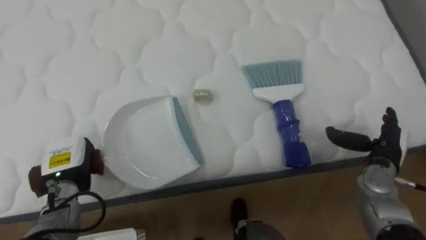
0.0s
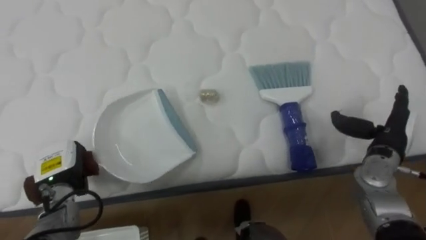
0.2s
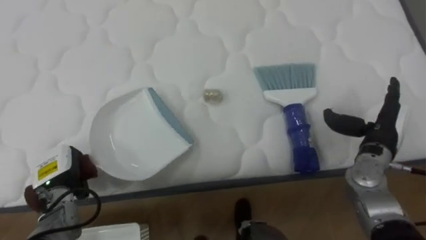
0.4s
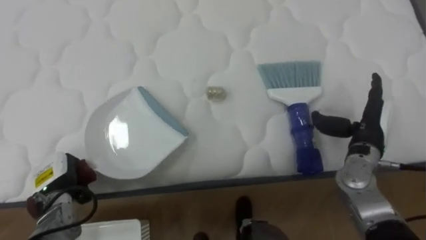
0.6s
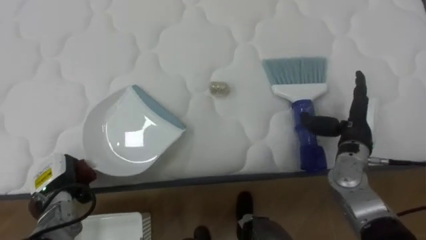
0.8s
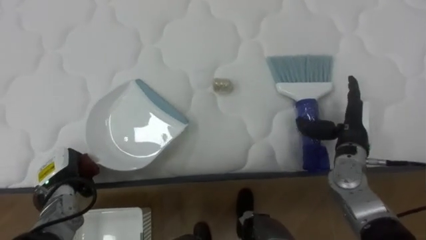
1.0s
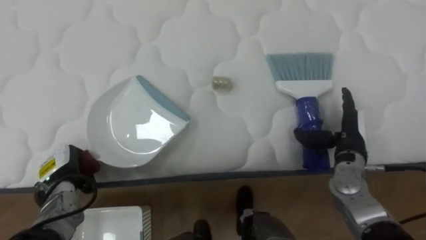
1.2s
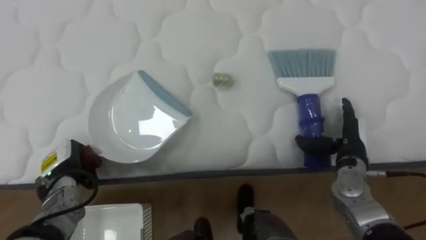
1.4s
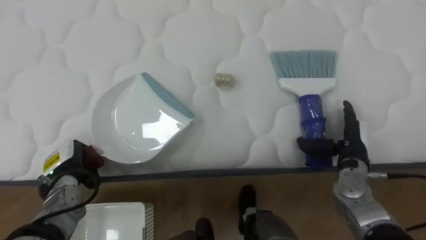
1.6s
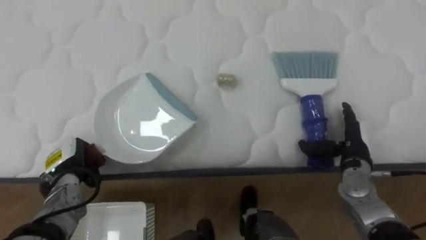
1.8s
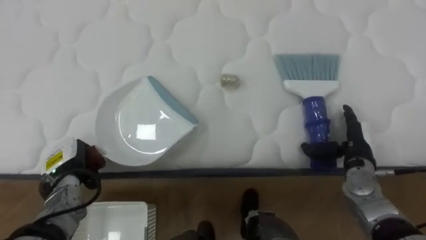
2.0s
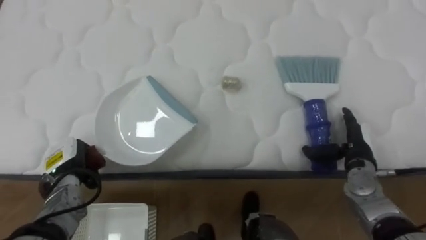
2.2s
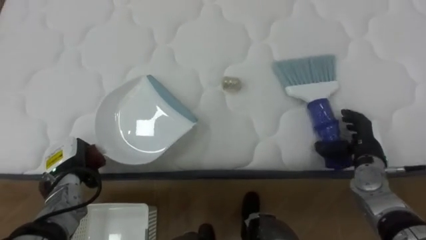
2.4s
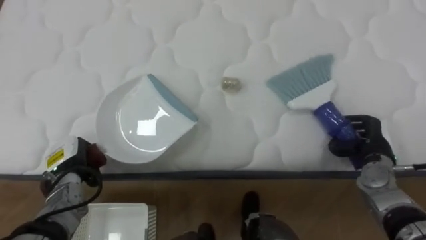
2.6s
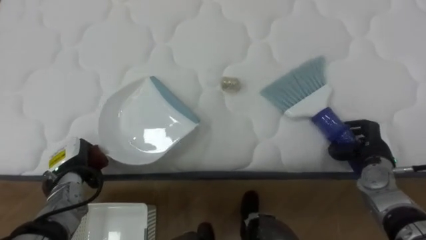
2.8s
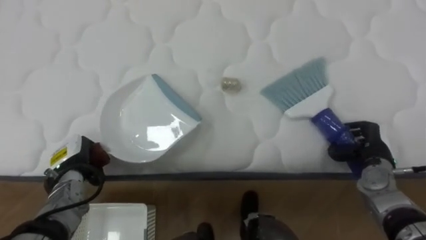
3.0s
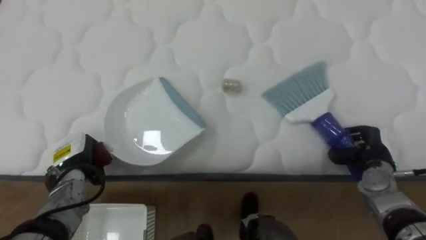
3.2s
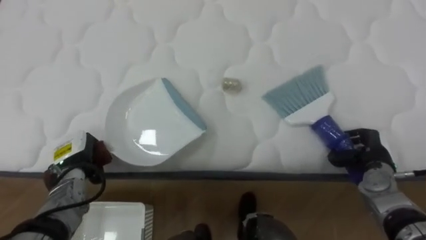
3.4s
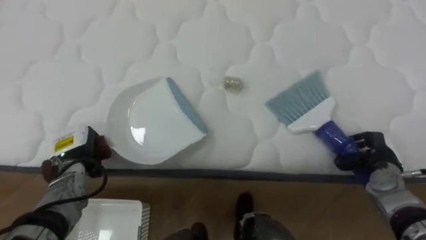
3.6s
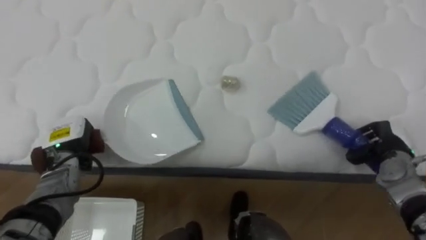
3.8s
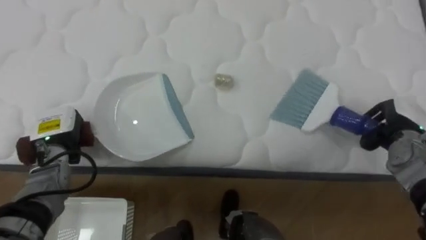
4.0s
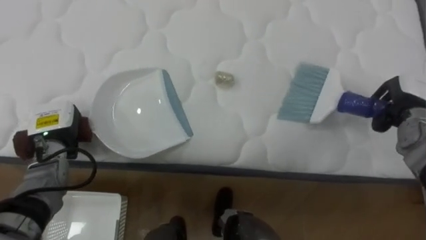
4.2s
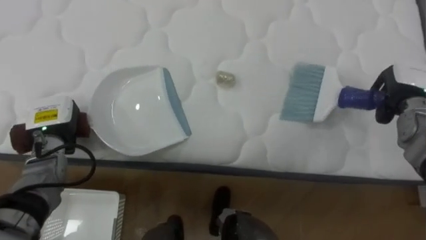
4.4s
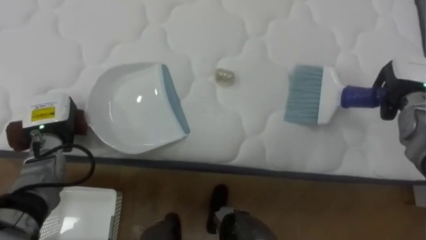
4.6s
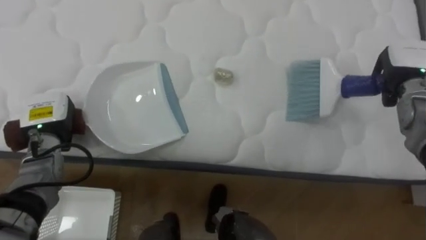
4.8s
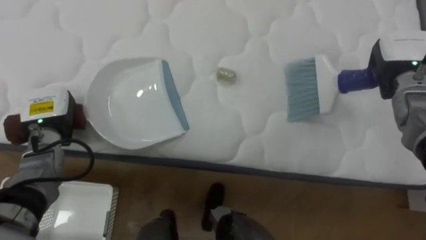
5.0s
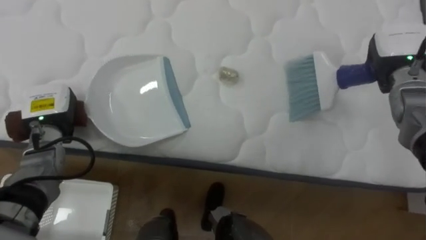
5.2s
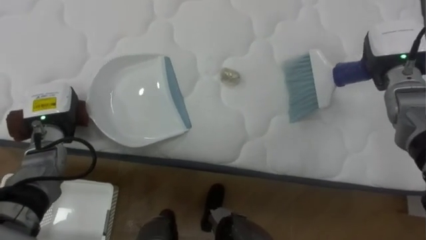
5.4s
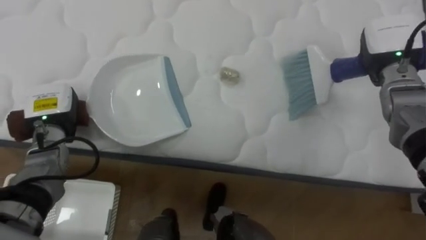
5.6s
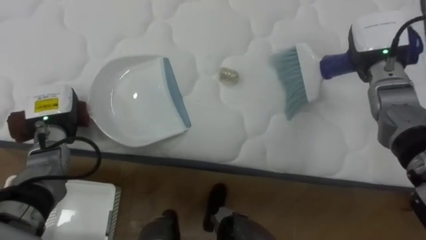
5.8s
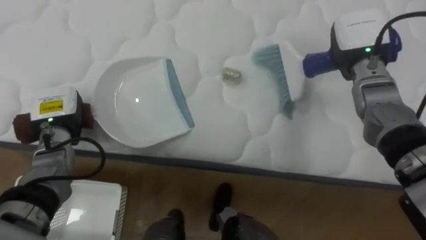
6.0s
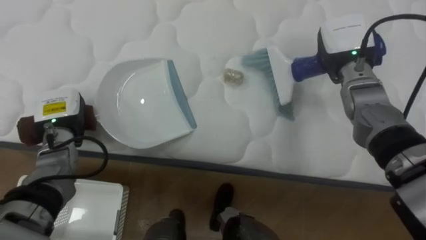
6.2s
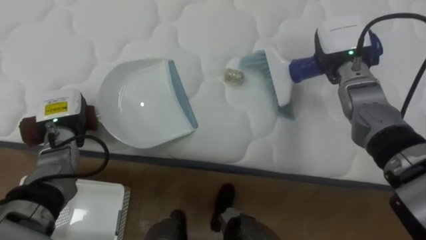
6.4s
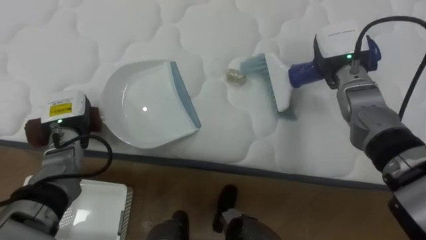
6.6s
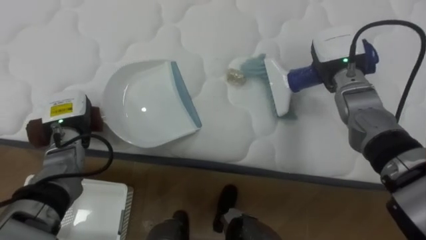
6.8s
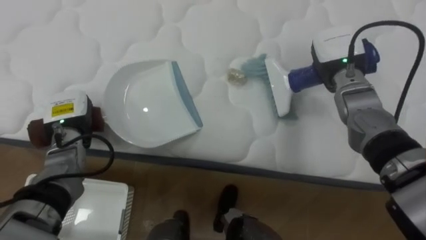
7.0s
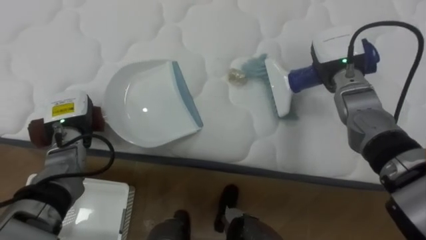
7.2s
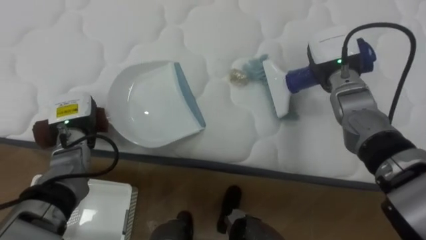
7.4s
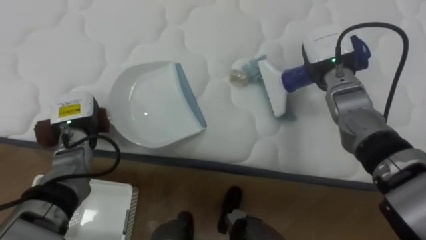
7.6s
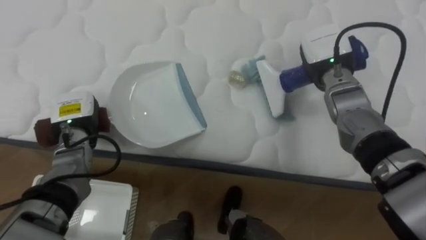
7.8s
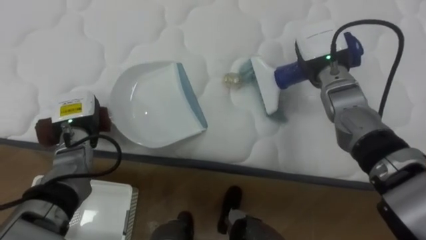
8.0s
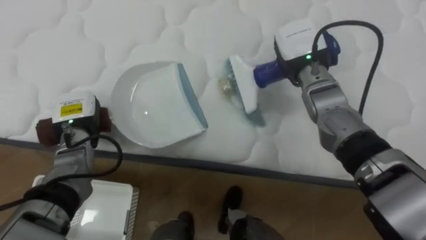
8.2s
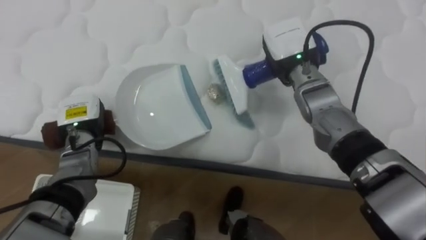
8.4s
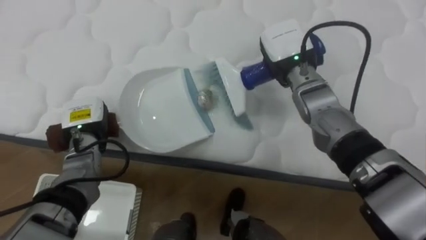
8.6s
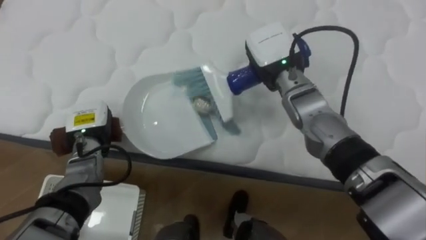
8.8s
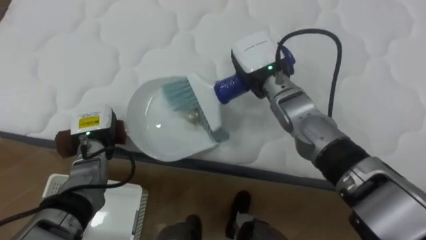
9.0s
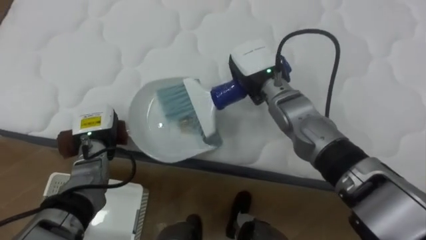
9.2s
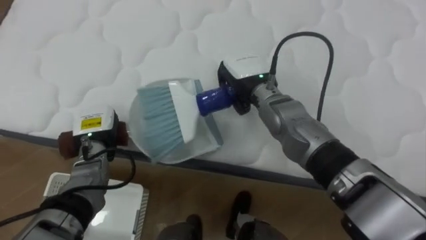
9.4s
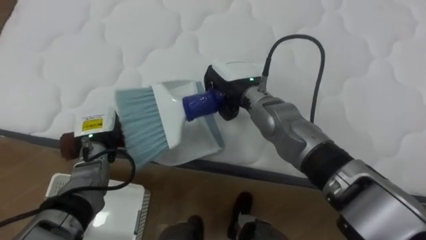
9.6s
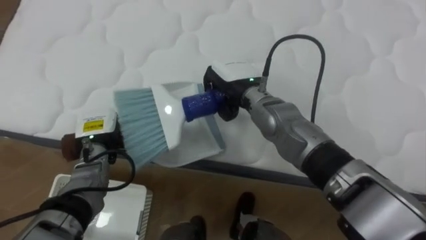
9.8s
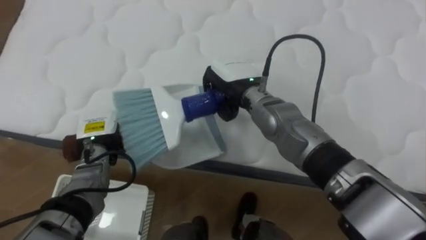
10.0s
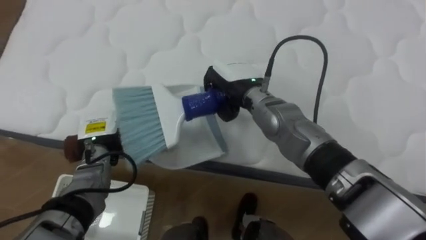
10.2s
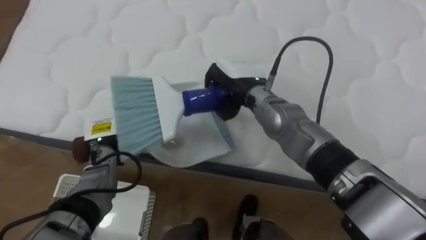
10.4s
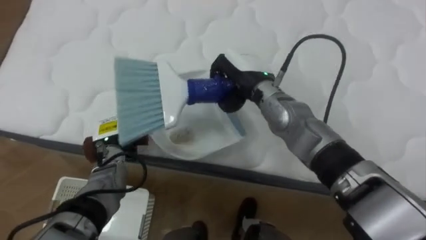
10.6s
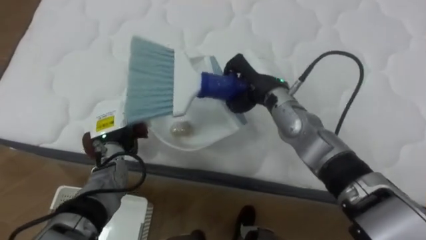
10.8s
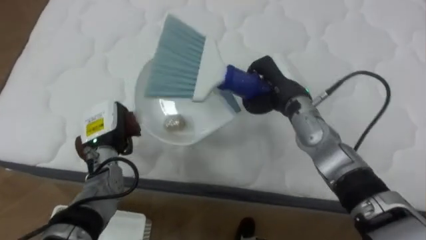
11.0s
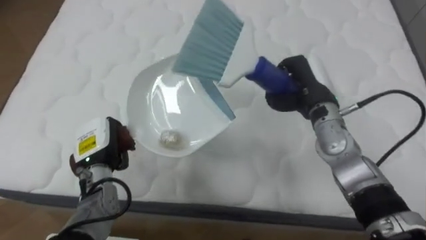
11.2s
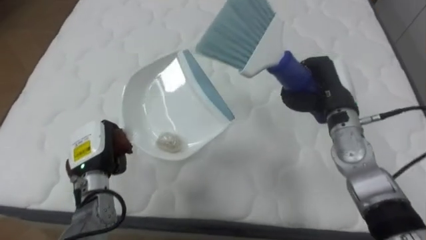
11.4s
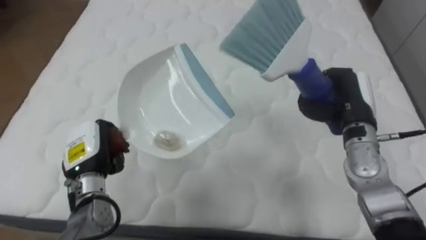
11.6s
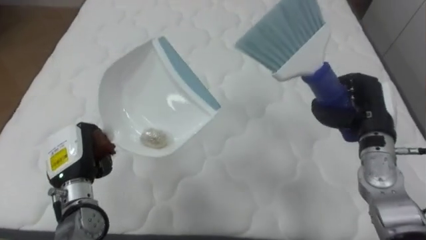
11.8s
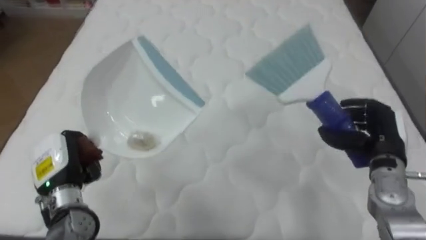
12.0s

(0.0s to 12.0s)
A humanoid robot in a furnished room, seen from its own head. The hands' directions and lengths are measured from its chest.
Task of the whole recording: Pick up the brush on your right and the dustpan on your left. Use the brush to sweep the crumpled paper on the bed into the dustpan, then turn left and empty it into the basket.
0.0s - 1.6s: The right hand heads to the left, covering some 5 cm.
1.6s - 3.0s: The right hand moves to the right, about 5 cm, and closes up.
3.0s - 4.4s: The left hand is displaced upward by approximately 5 cm; the right hand heads upward and forward, covering some 15 cm.
4.4s - 6.0s: The right hand shifts some 15 cm to the left and upward.
6.0s - 7.6s: The right hand ends up approximately 5 cm from where it was.
7.6s - 9.0s: The right hand moves to the left, some 15 cm.
10.4s - 12.0s: The right hand moves to the right, some 30 cm, and opens up, while the left hand travels backward and to the left by about 10 cm.

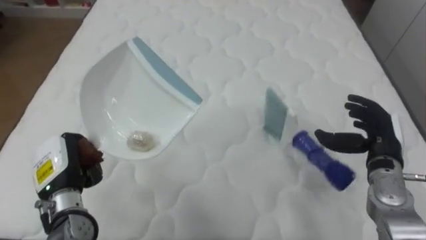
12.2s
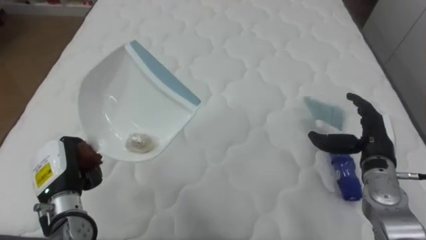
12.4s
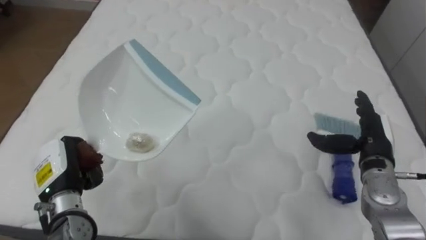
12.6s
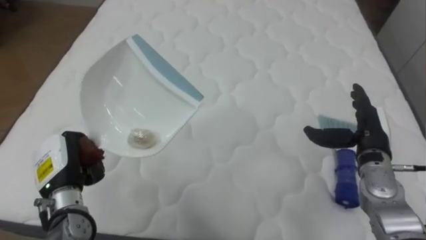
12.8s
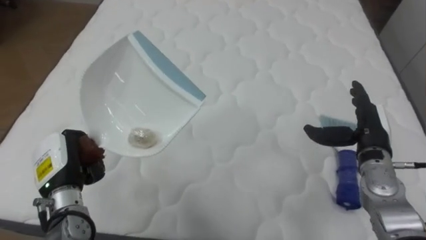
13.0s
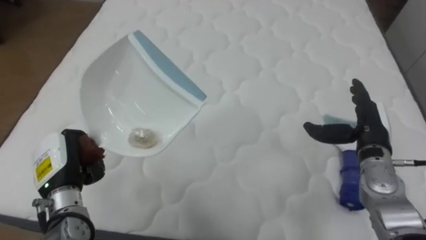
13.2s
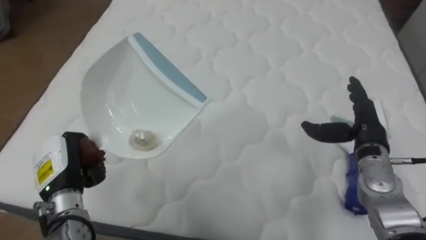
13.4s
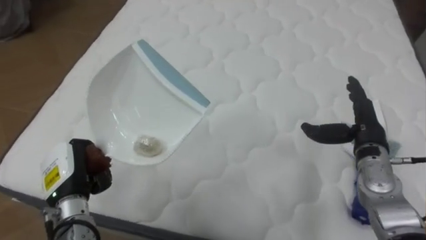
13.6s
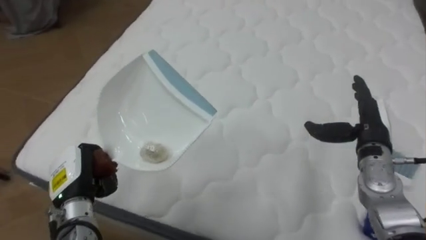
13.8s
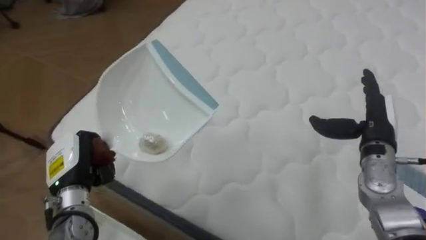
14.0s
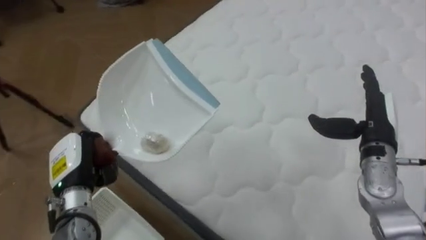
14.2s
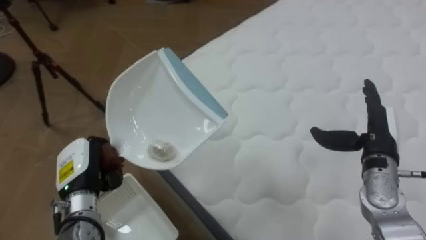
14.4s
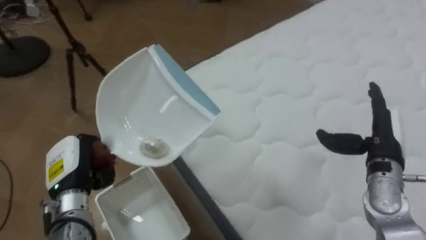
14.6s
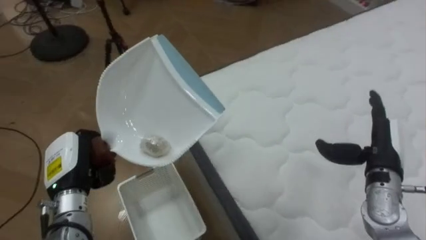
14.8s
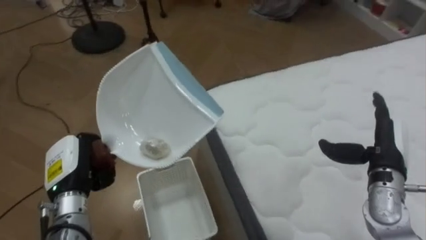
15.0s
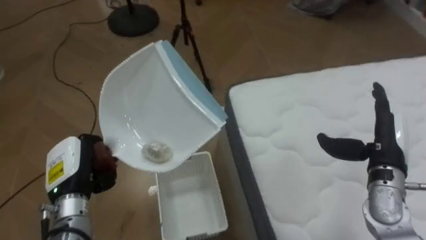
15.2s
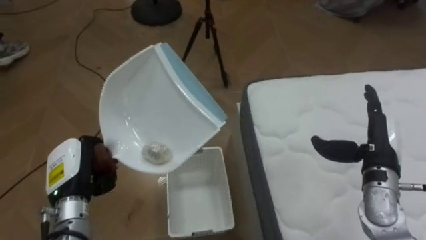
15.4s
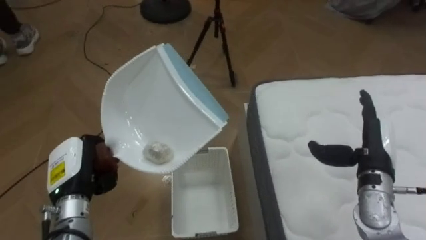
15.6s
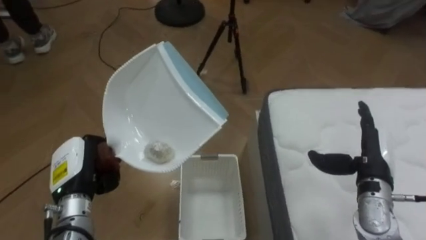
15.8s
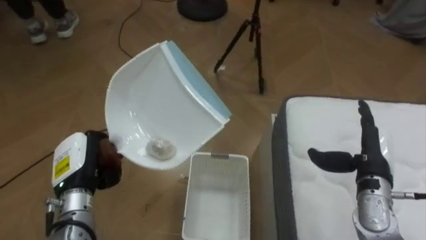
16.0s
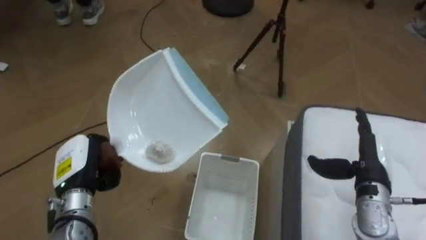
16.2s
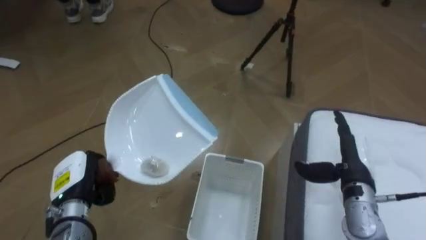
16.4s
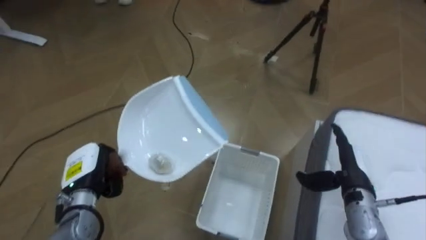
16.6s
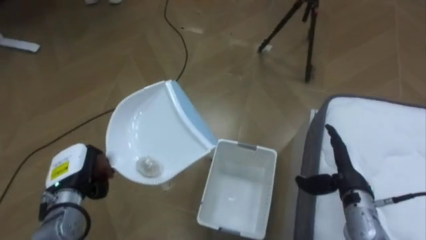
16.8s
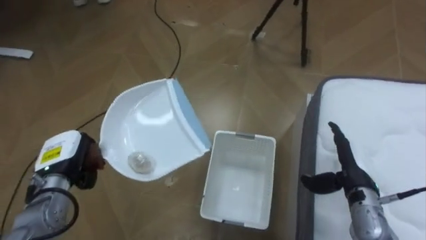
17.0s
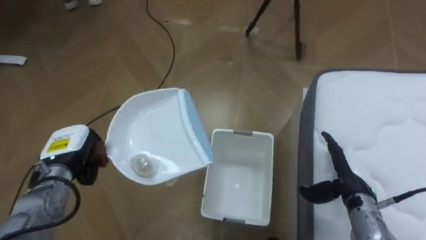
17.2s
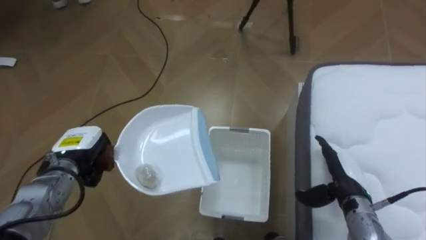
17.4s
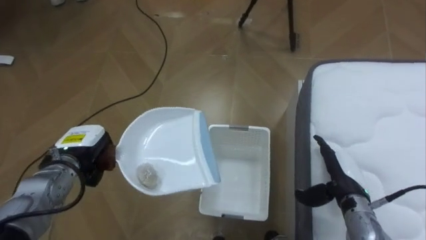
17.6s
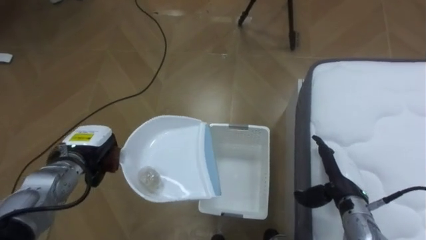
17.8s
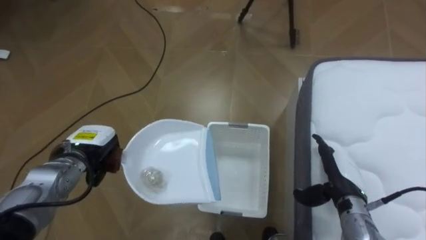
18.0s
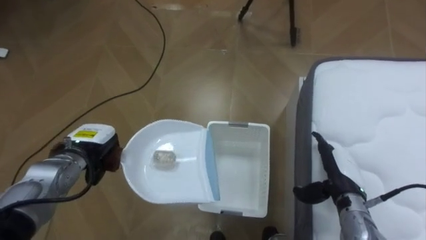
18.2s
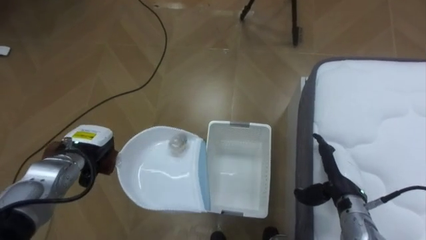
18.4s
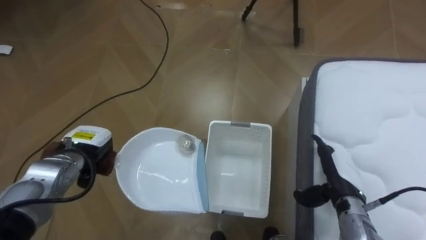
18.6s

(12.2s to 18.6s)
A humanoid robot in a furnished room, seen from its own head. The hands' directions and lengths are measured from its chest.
Task of the whole recording: Pick up the brush on your right and the dustpan on your left. Use the brush to sweep the crumpled paper on the bed into the dustpan, then turn left and empty it into the basket.
12.2s - 13.8s: The robot rotates approximately 15 degrees to its left.
13.8s - 15.4s: The robot faces approximately 65 degrees further to its left.
15.4s - 17.0s: The robot faces about 25 degrees further to its left. The left hand shifts by approximately 5 cm. The right hand shifts approximately 5 cm downward.
